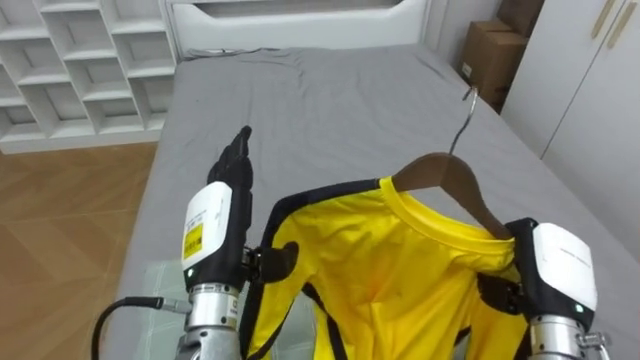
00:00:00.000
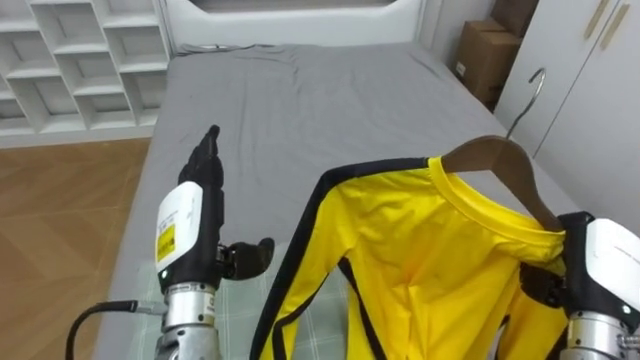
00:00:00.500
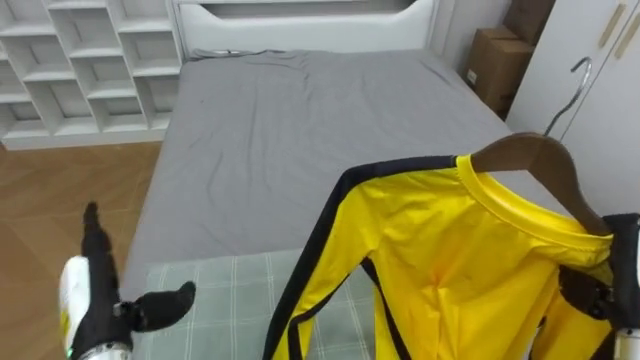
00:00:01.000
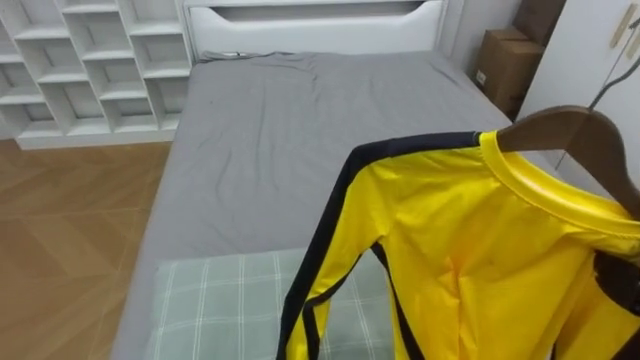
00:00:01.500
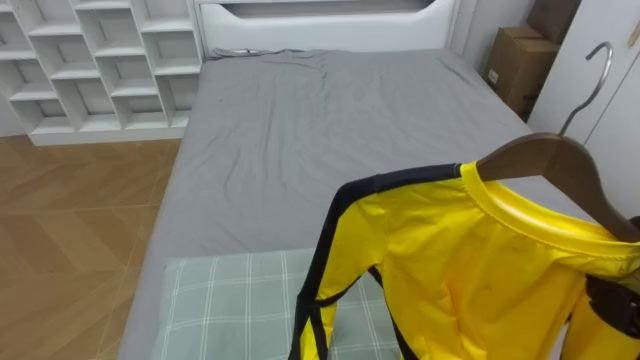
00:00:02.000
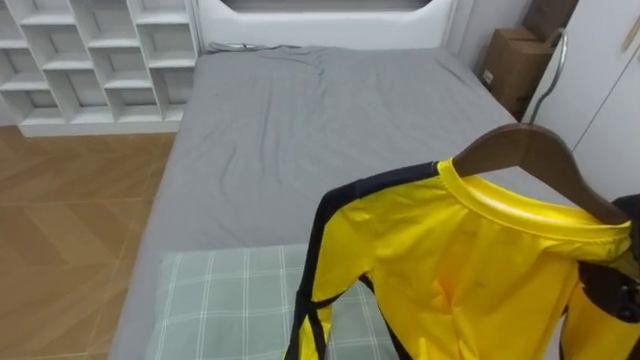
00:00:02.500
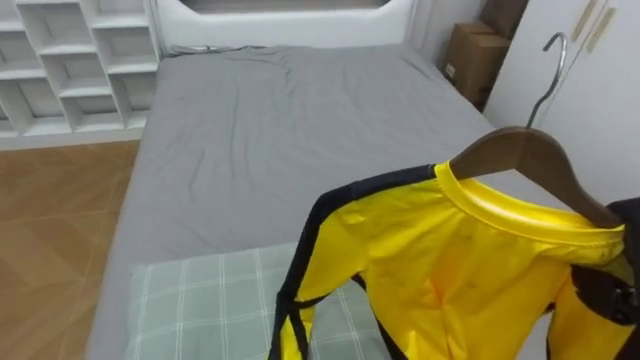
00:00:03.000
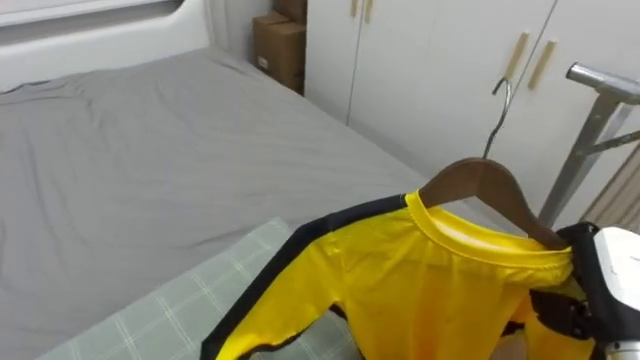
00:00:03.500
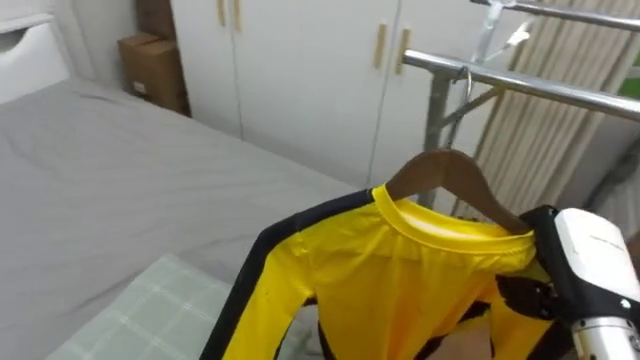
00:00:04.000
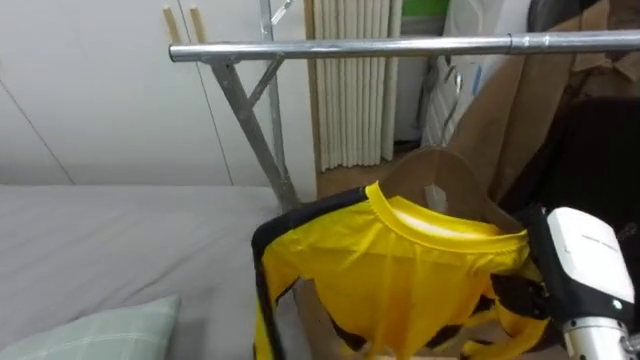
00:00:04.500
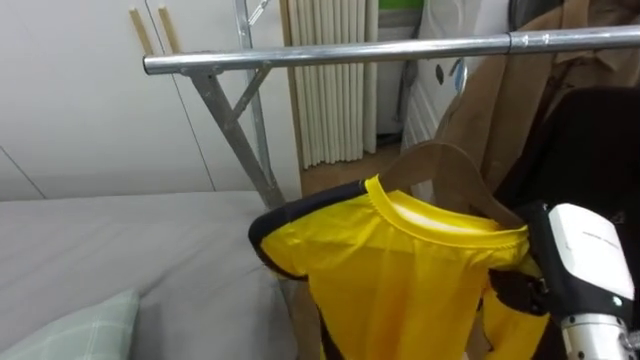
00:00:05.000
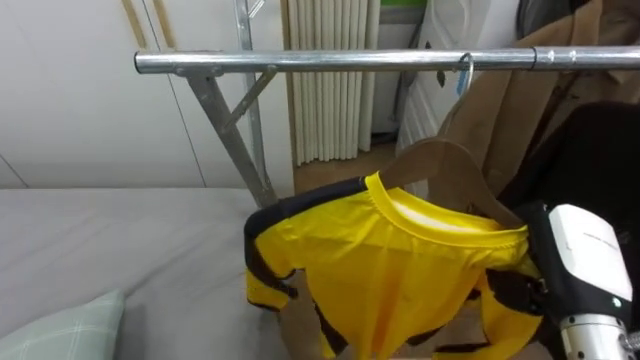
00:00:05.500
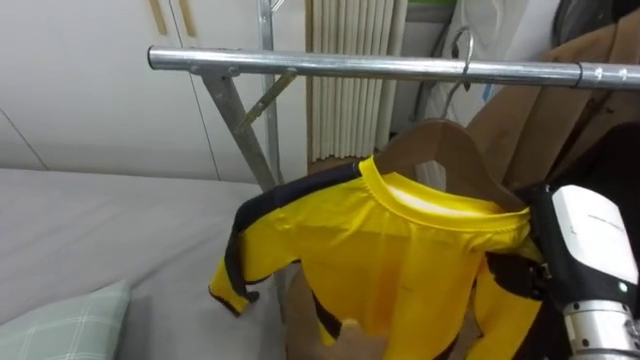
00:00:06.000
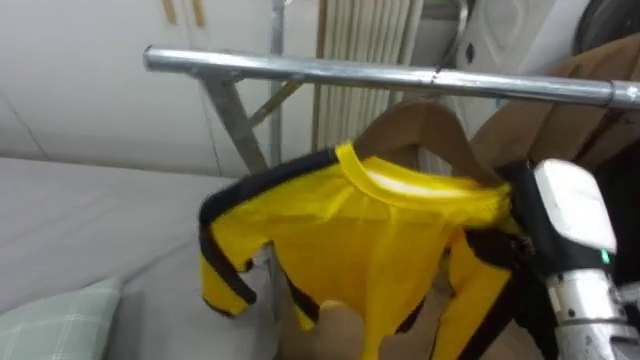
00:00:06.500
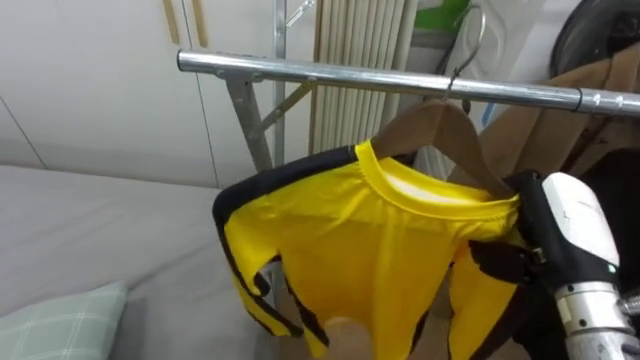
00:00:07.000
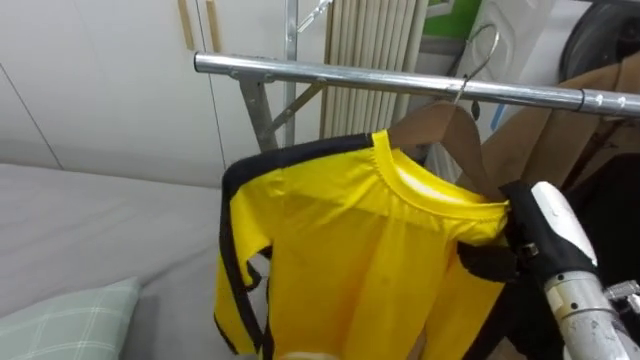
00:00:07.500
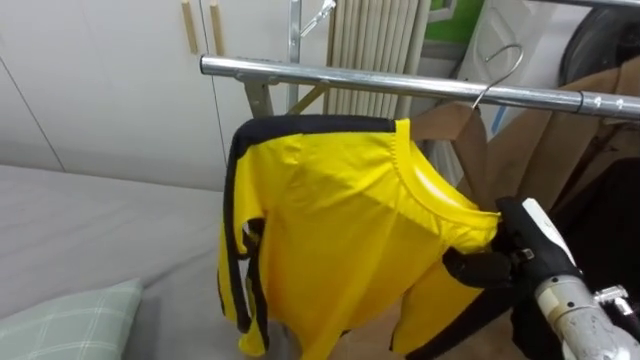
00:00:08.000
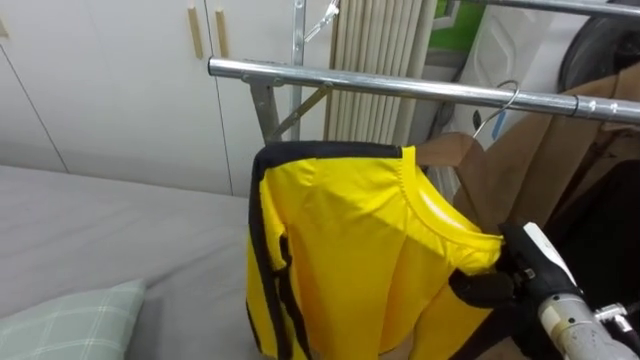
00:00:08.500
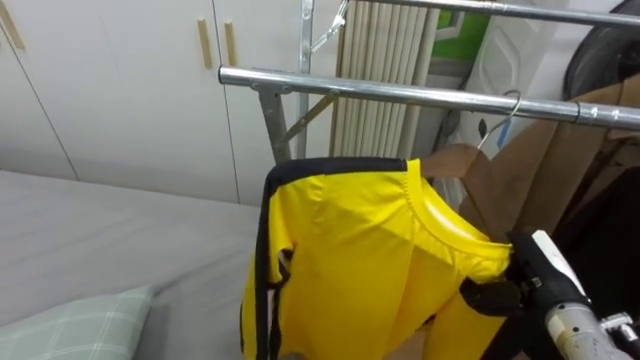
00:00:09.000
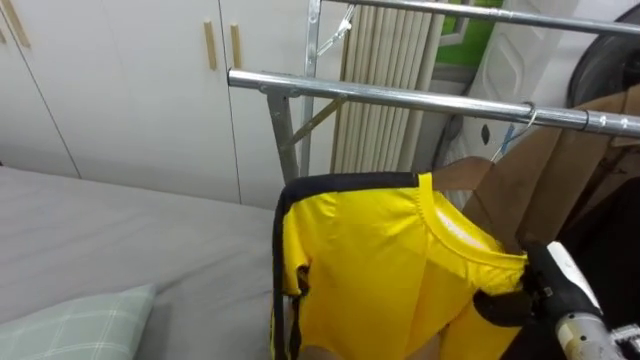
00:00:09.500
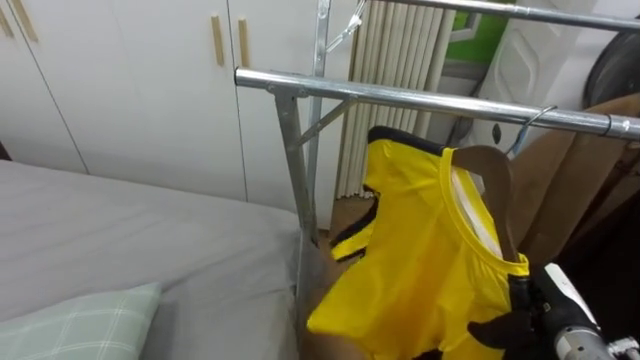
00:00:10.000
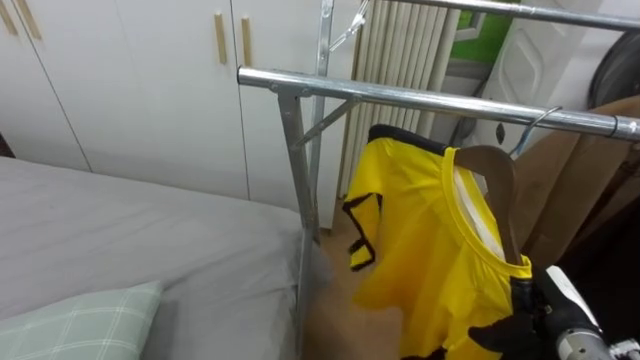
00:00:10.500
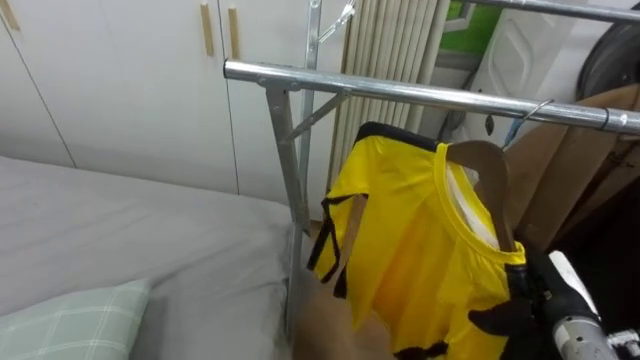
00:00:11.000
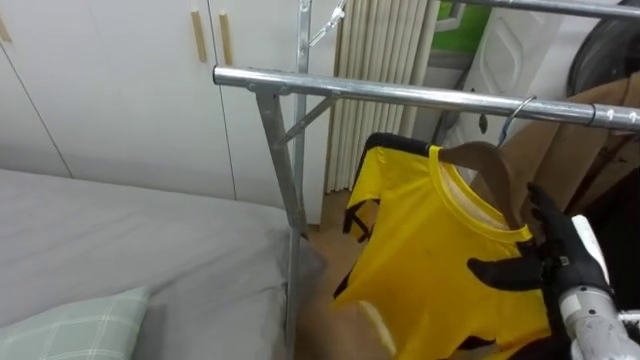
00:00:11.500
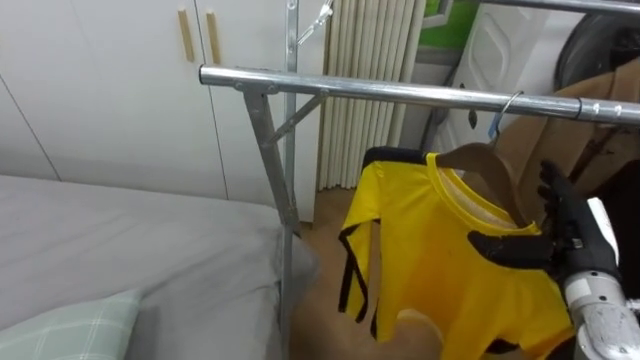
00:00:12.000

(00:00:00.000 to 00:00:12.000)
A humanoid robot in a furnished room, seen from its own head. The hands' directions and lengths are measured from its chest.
Task of the whole recording: Pick up the yellow shirt on the bed and hang it on the clothes rack on the right.
00:00:02.000 - 00:00:04.000: The robot faces some 50 degrees further to its right.
00:00:04.000 - 00:00:06.000: The robot turns to its right by about 30 degrees.
00:00:06.000 - 00:00:08.000: The right hand travels downward by approximately 5 cm.
00:00:08.000 - 00:00:10.000: The right hand moves downward, some 10 cm, and opens up.
00:00:10.000 - 00:00:12.000: The right hand moves upward, about 10 cm, and opens its fingers.

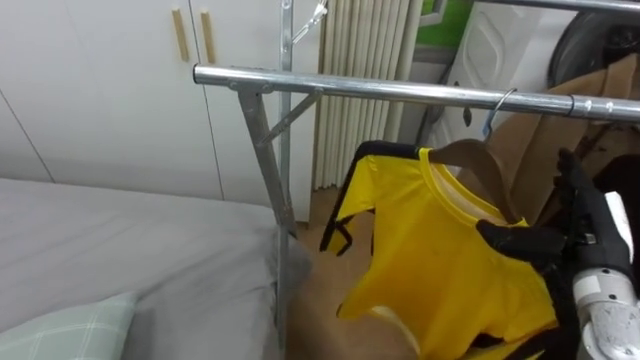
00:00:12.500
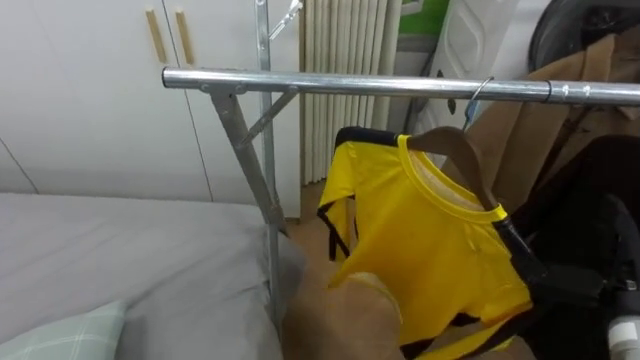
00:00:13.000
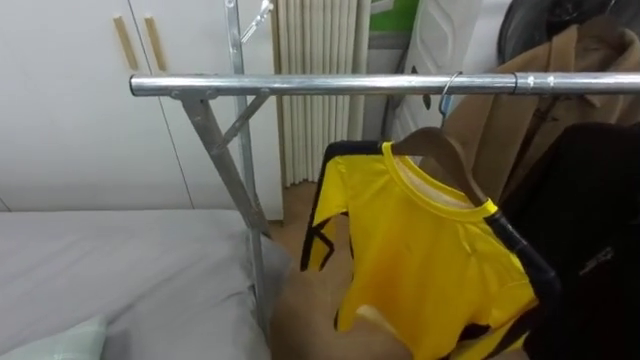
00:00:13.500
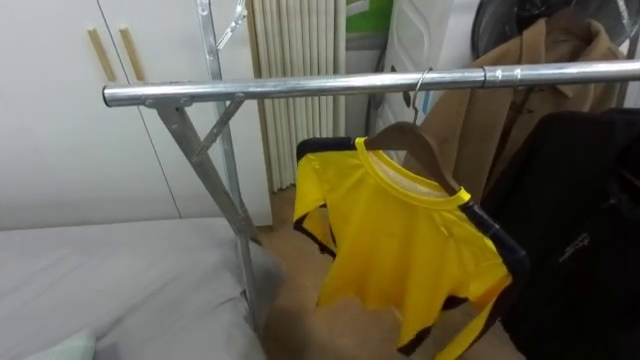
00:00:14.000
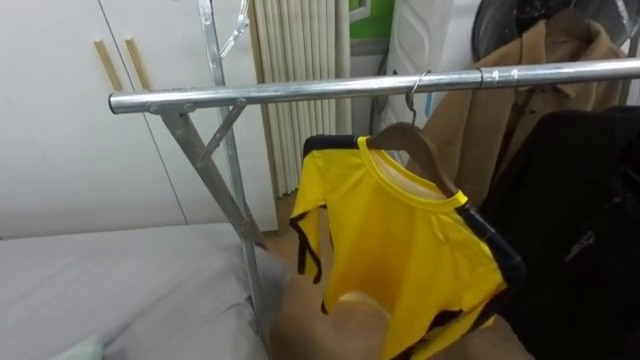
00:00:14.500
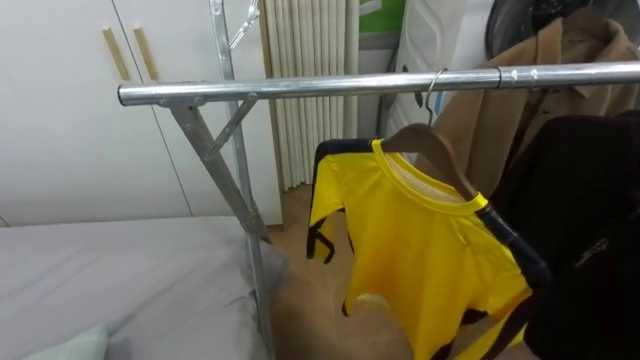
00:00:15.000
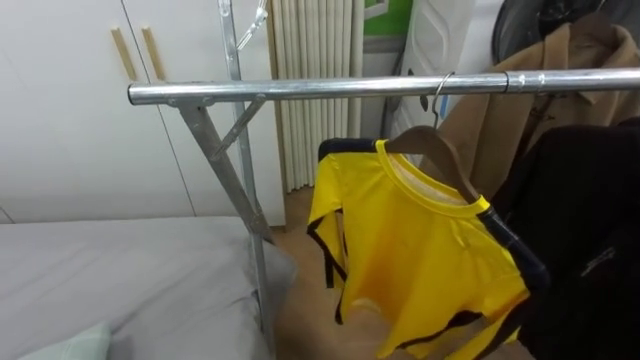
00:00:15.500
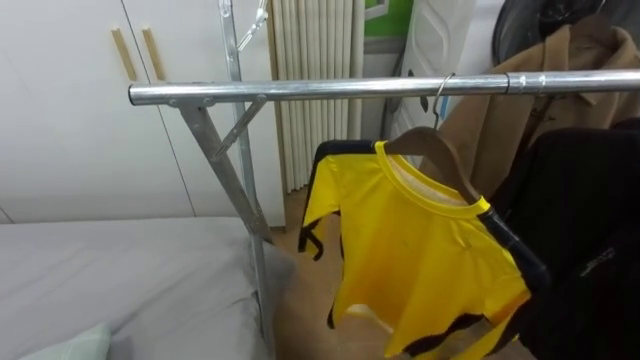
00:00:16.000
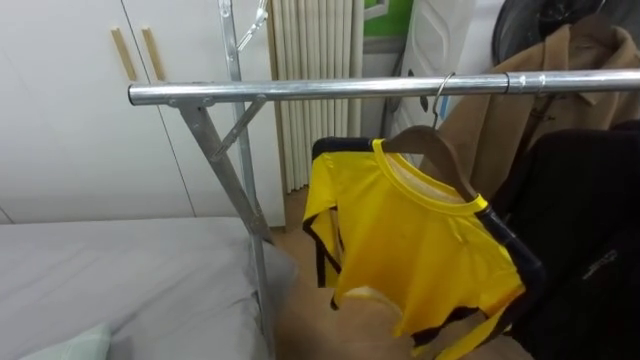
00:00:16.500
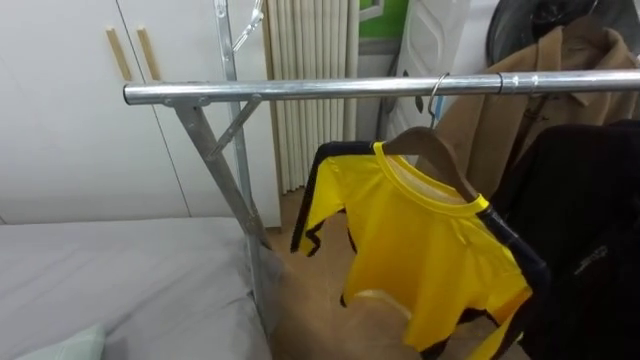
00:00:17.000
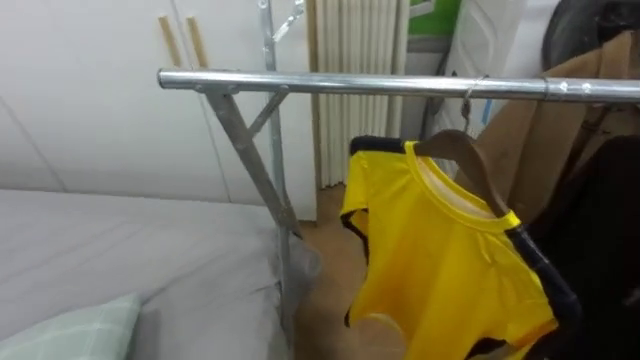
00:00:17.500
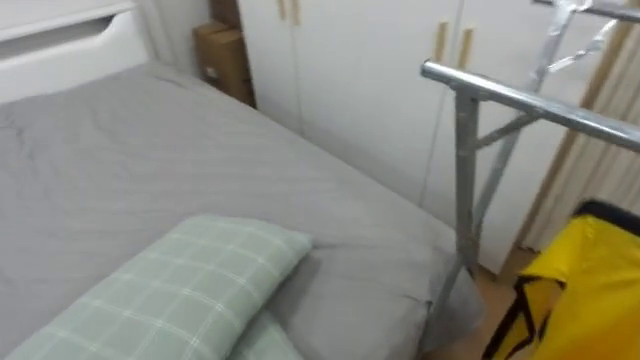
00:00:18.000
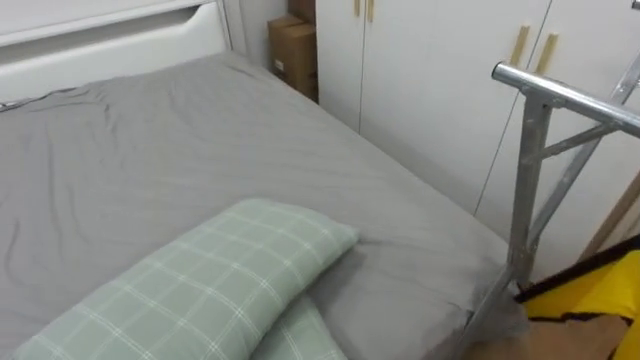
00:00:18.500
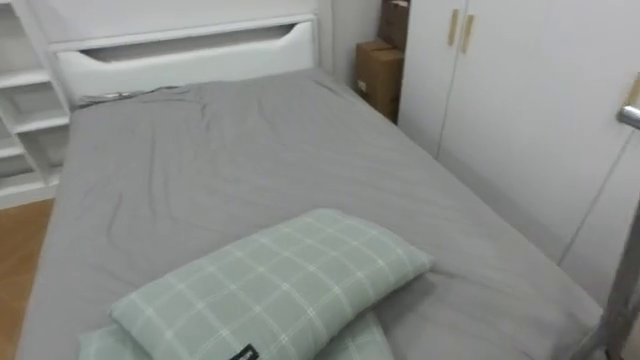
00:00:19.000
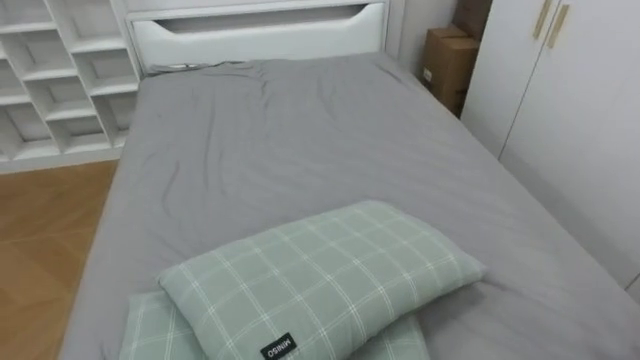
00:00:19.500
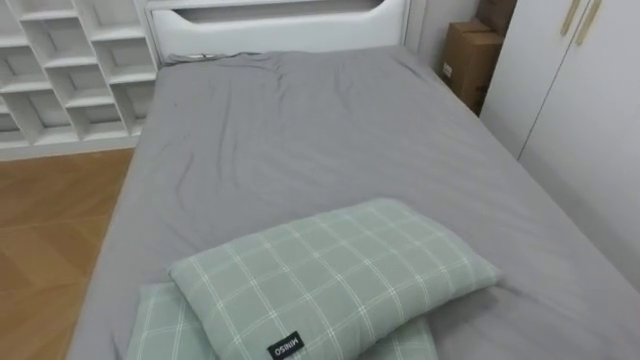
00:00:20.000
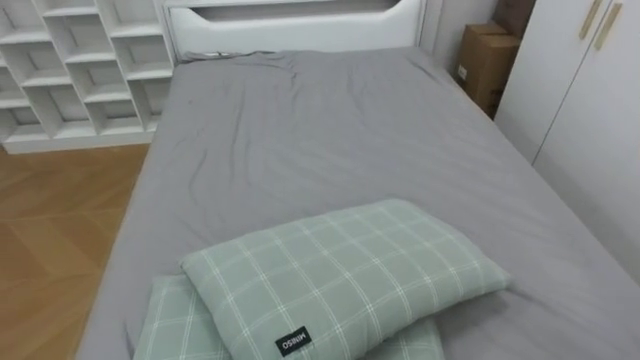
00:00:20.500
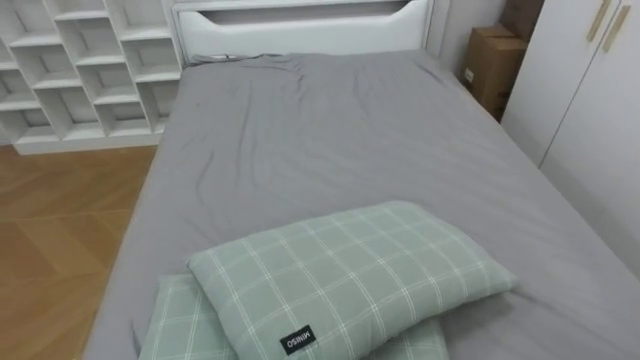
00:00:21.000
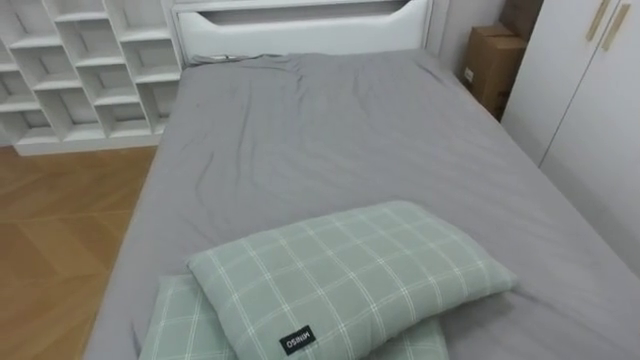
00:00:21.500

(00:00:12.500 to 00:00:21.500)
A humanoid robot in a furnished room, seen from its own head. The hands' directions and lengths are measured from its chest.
Task of the whole recording: Pick up the yellow shirt on the bed and hang it on the clothes rack on the right.
00:00:17.000 - 00:00:19.500: The robot faces roughly 80 degrees further to its left.
